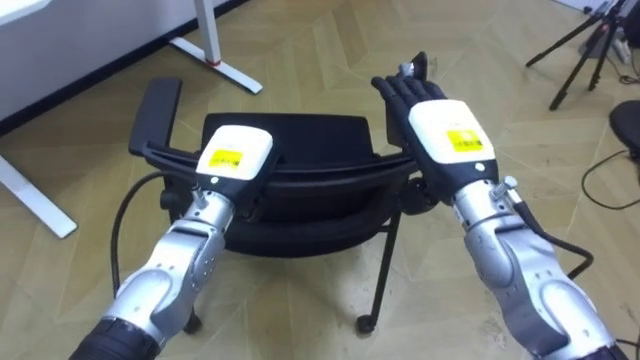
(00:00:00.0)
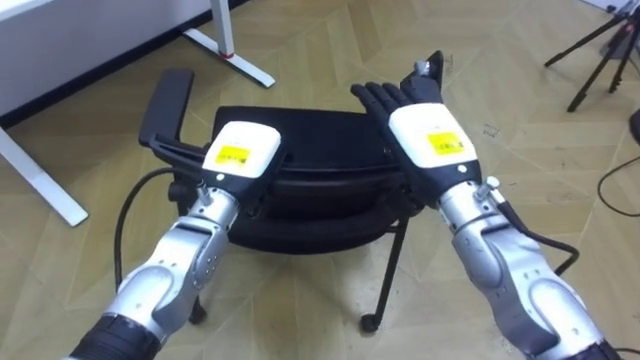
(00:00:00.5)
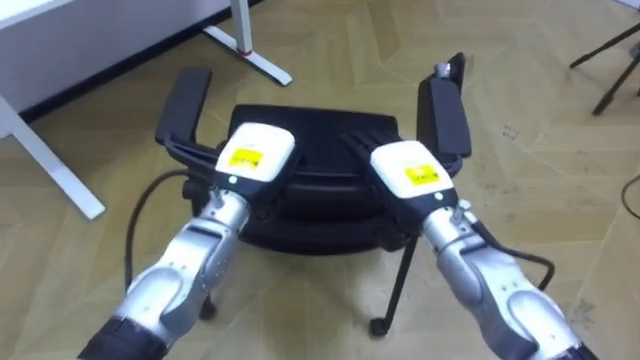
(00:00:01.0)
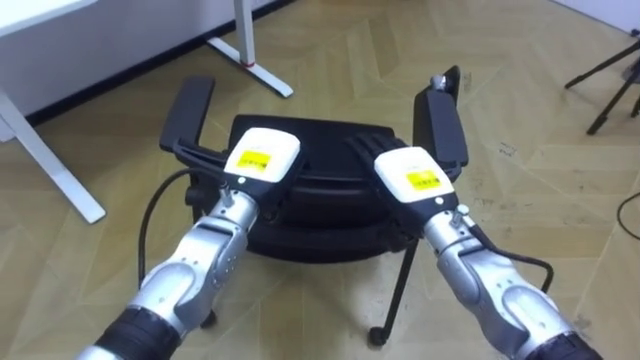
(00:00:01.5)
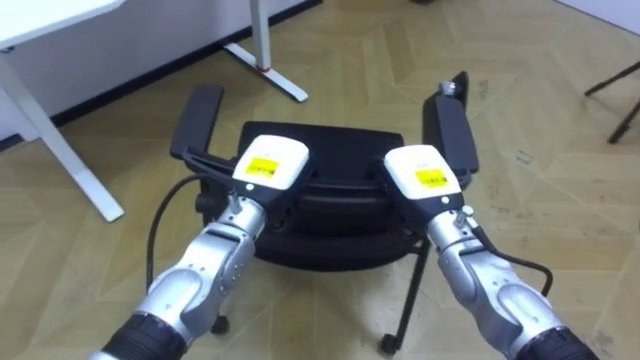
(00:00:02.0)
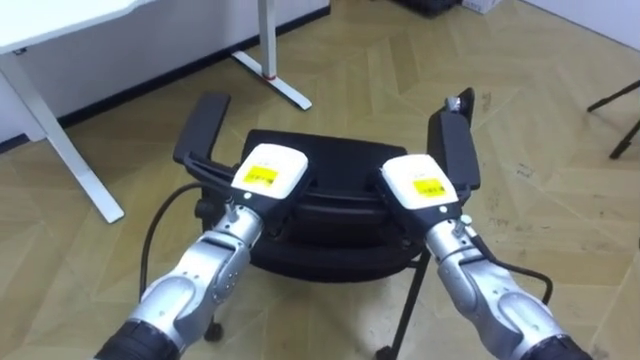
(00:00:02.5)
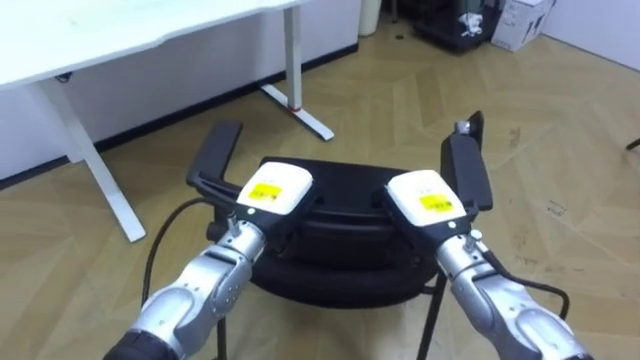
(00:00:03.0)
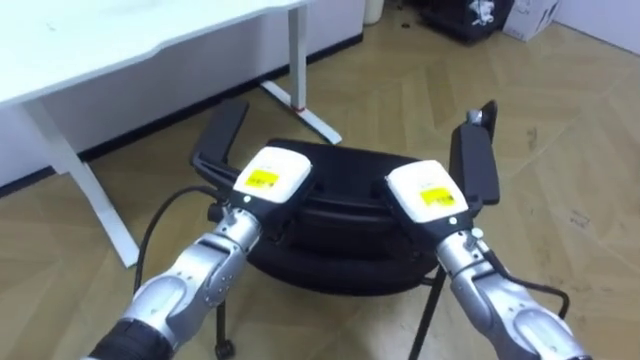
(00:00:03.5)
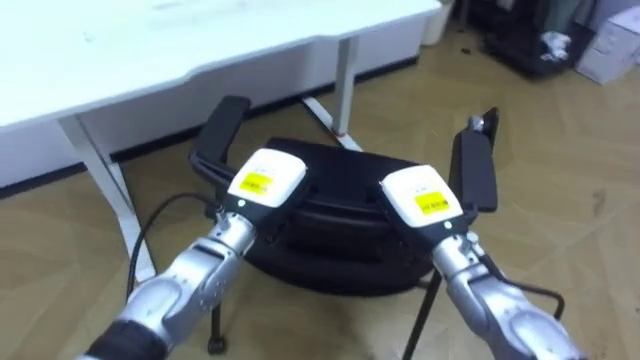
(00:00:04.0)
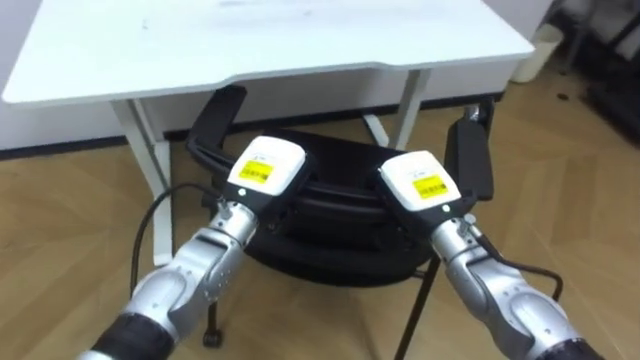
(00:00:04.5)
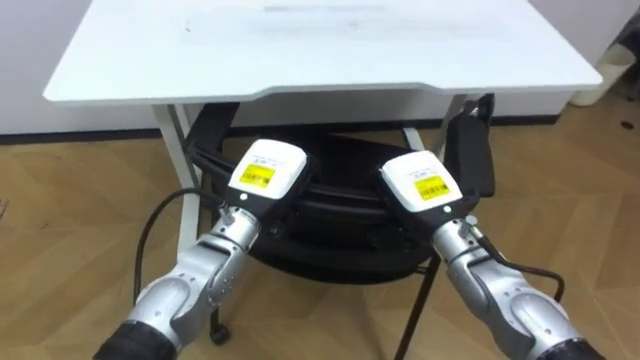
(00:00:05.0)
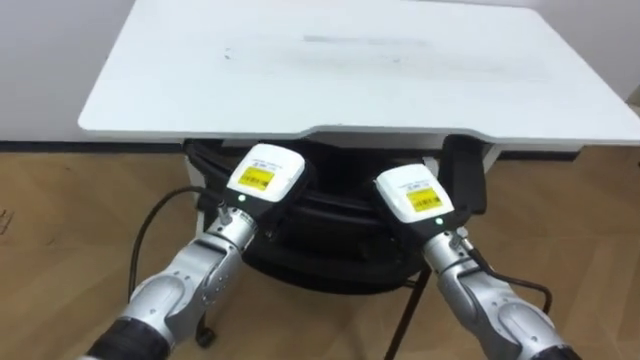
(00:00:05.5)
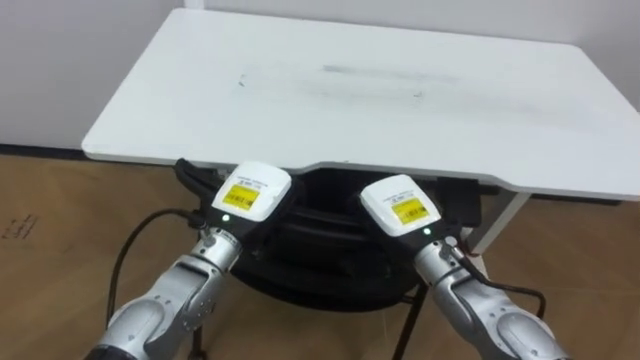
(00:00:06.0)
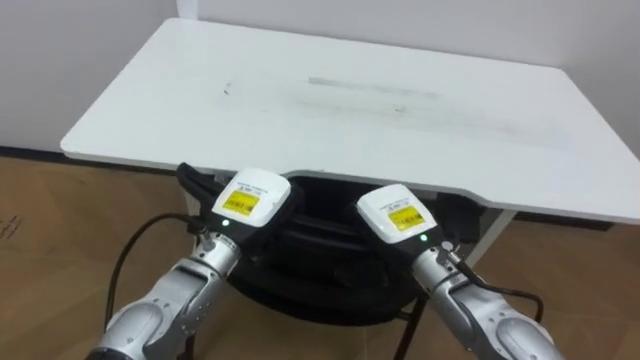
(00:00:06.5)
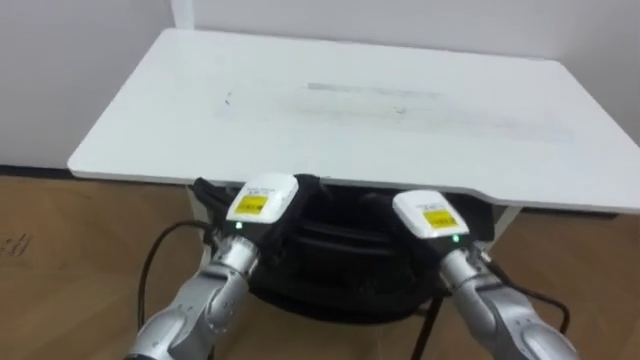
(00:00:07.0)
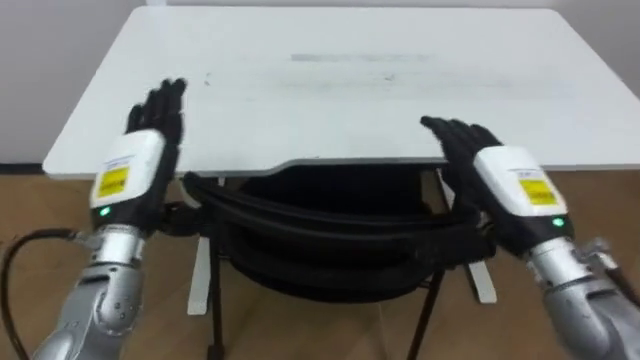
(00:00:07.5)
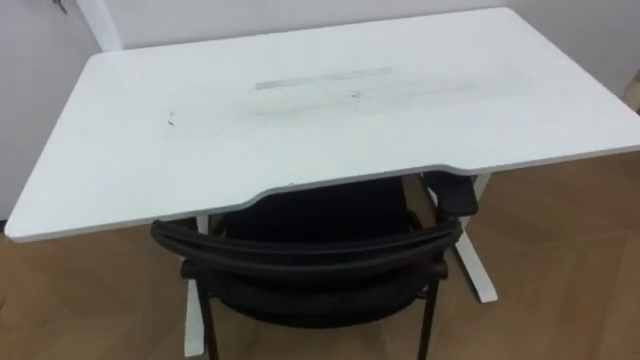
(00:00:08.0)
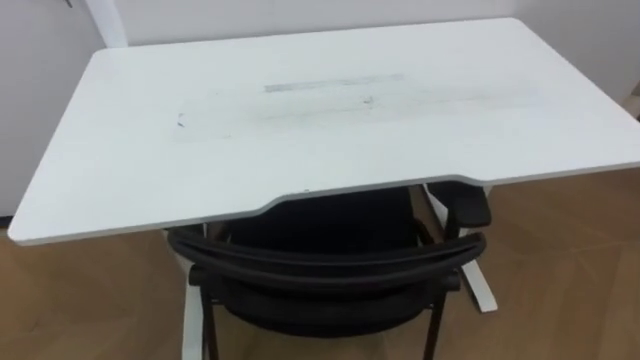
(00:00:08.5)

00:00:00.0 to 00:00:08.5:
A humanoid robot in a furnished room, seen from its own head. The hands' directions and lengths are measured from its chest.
Task of the whole recording: Push the chair under the table.
00:00:00.0 to 00:00:02.0: The right hand heads downward, covering roughly 10 cm, and closes.
00:00:02.0 to 00:00:04.0: The robot rotates some 15 degrees to its left.
00:00:04.0 to 00:00:06.5: The robot rotates roughly 30 degrees to its left.

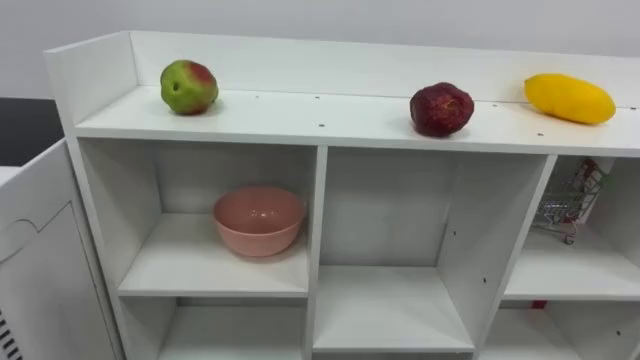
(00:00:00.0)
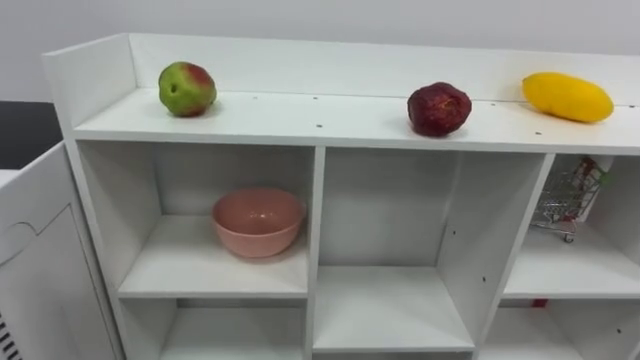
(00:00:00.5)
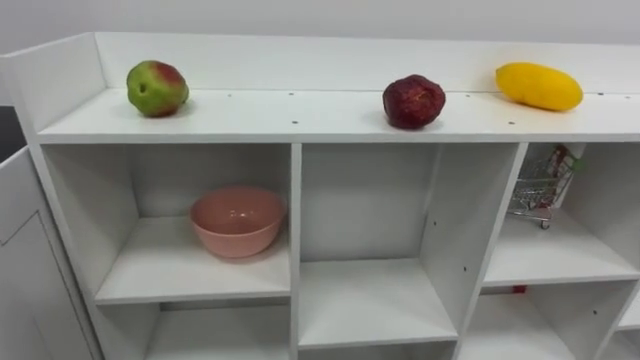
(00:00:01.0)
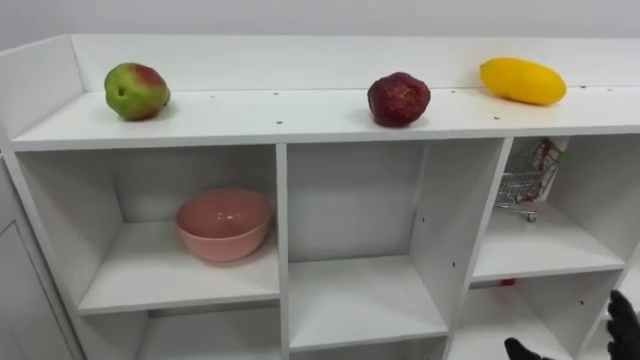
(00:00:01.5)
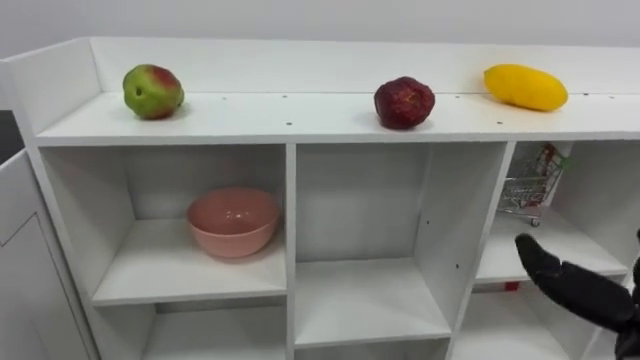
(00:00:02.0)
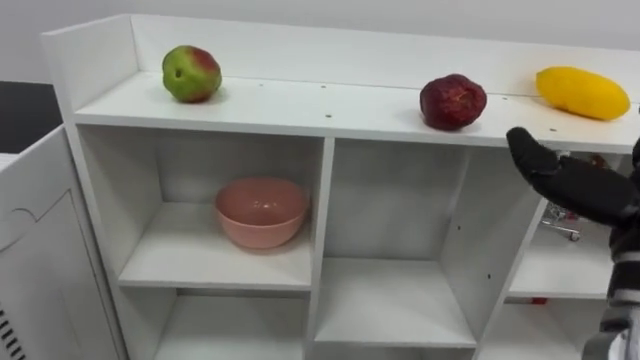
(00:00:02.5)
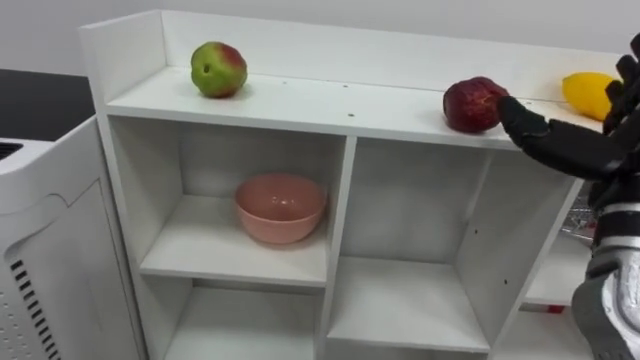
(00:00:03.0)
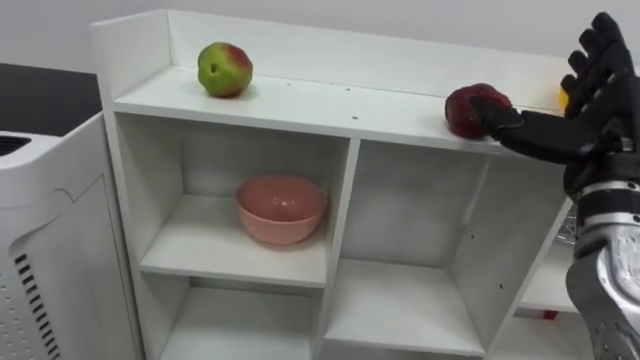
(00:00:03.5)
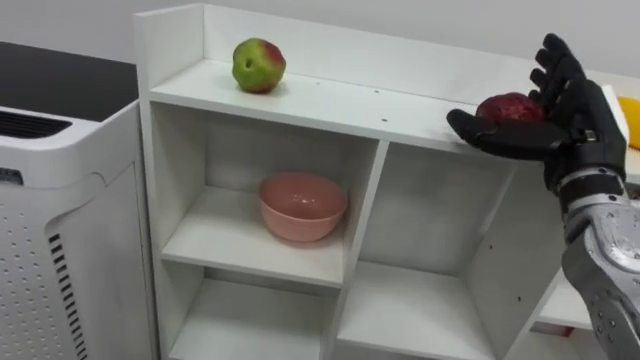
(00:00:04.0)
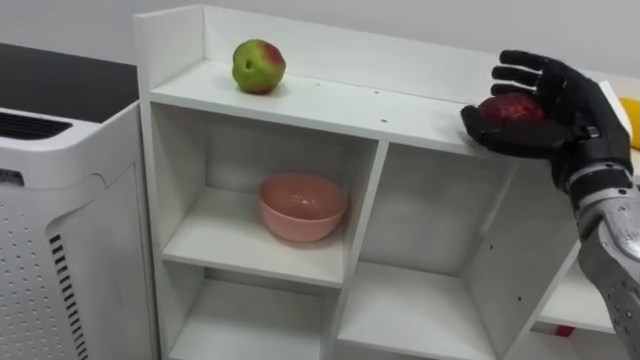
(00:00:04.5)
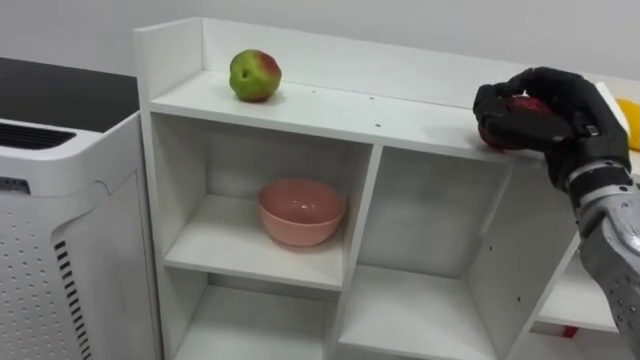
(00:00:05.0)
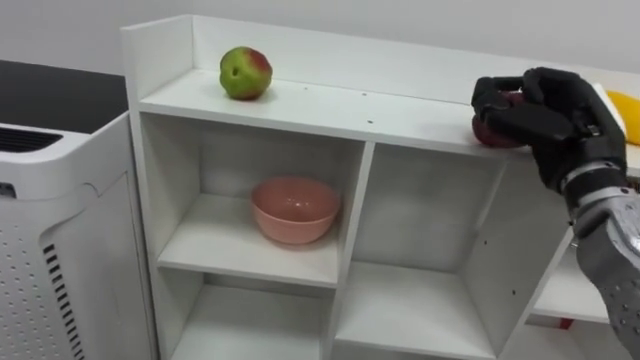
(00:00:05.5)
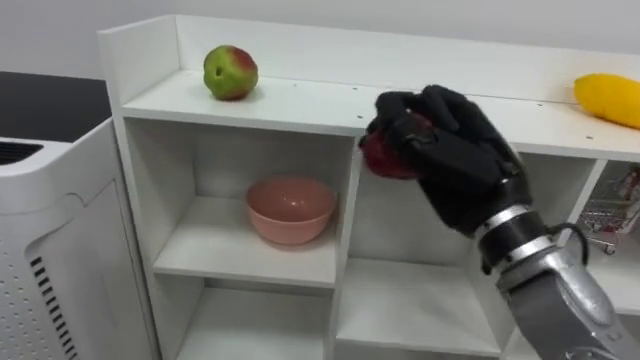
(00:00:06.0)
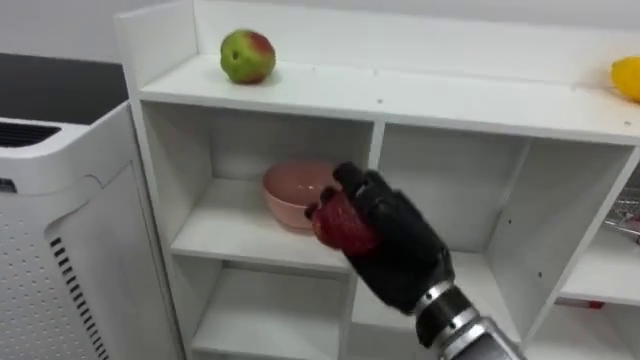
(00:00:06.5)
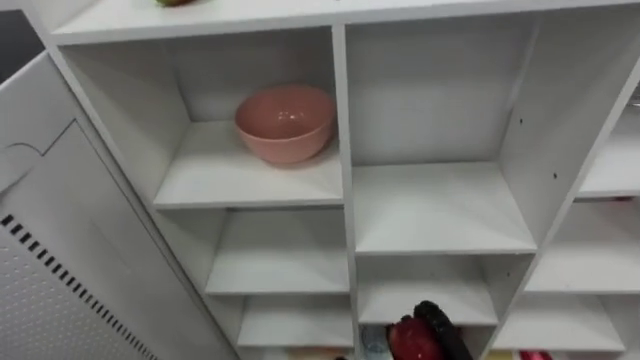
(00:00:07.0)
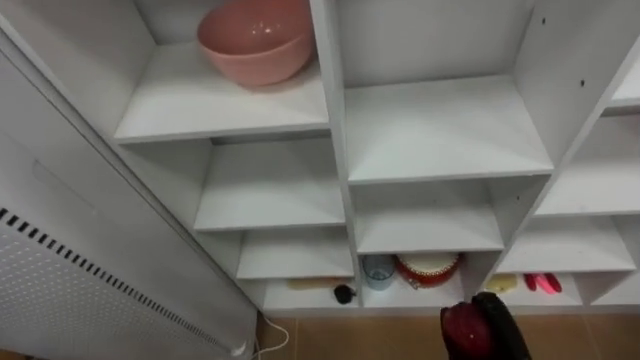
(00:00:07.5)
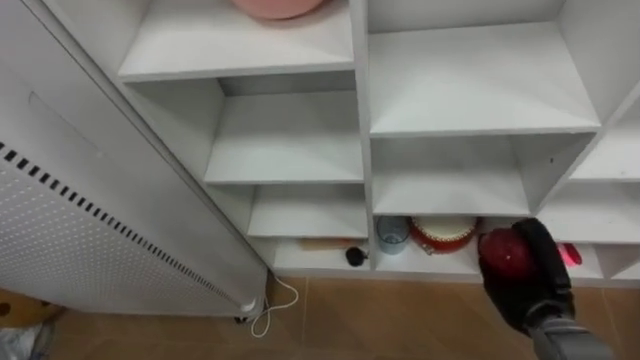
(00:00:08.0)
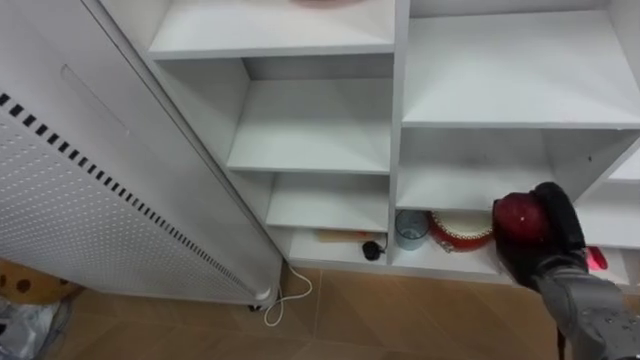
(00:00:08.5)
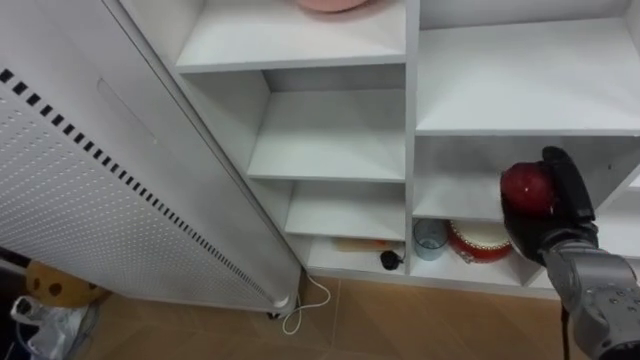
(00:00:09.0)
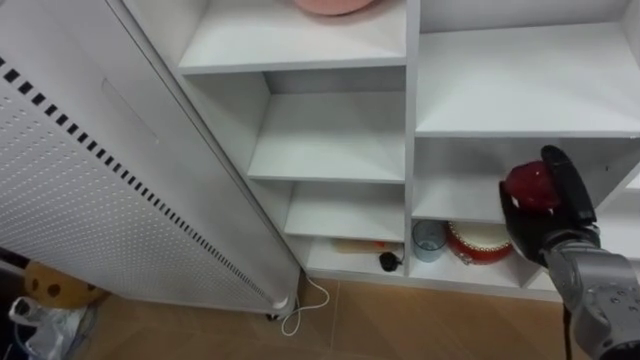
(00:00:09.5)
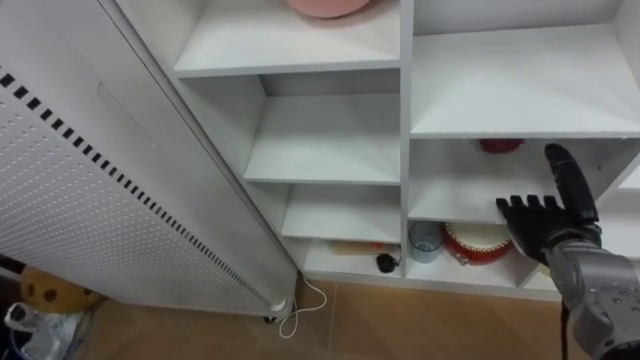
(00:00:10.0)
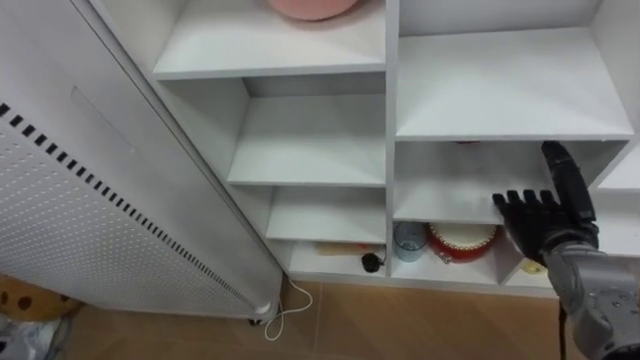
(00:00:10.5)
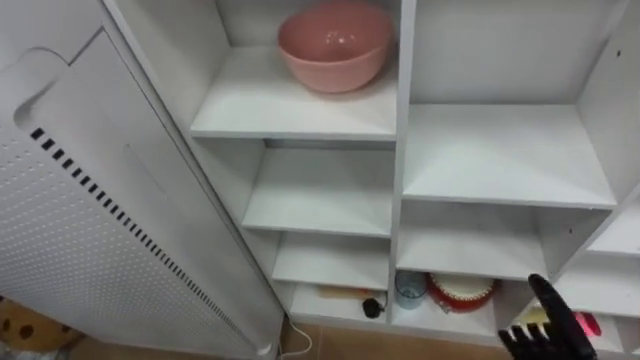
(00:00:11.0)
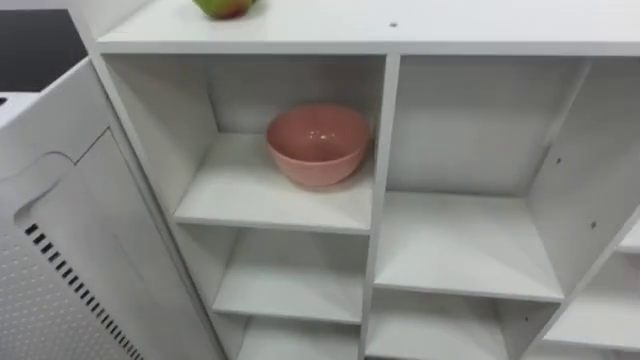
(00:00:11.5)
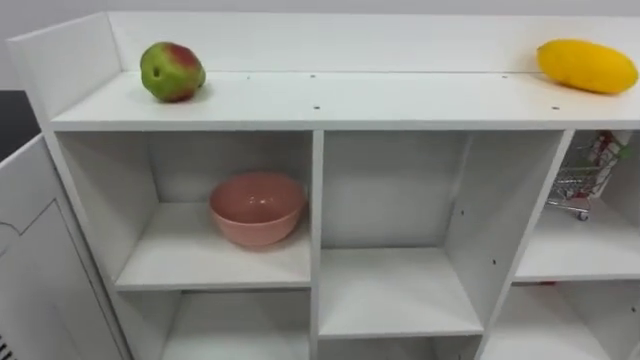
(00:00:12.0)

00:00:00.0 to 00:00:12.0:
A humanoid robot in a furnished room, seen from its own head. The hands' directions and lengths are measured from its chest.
Task of the whole recording: Put the apple in the cell in the second column from the left and the second row from the top.
00:00:04.0 to 00:00:06.0: The right hand heads to the left, covering some 10 cm, and closes.
00:00:08.0 to 00:00:10.0: The right hand shifts approximately 10 cm upward, and opens up.
